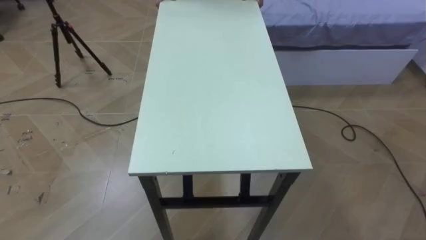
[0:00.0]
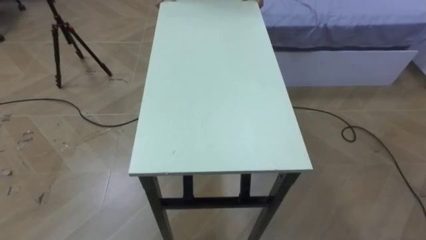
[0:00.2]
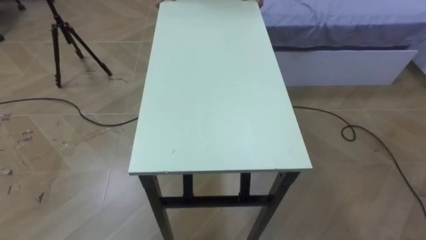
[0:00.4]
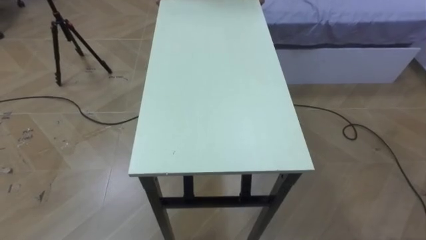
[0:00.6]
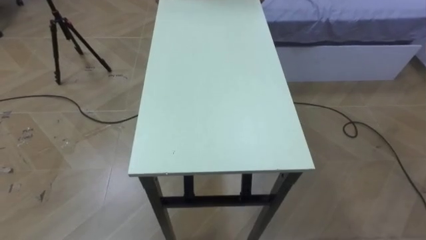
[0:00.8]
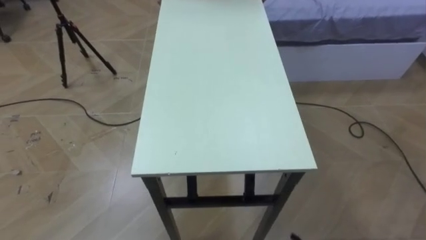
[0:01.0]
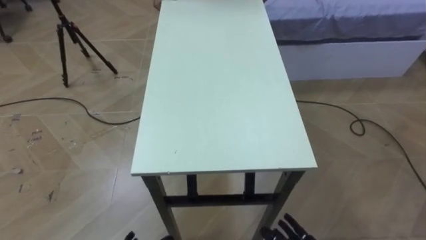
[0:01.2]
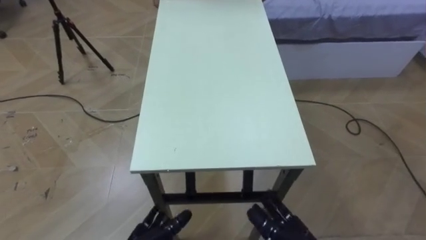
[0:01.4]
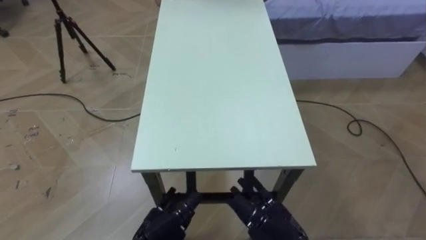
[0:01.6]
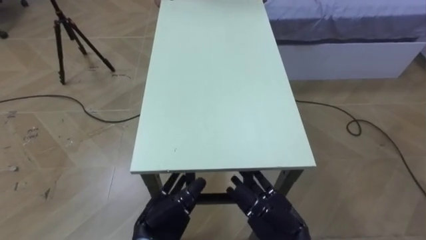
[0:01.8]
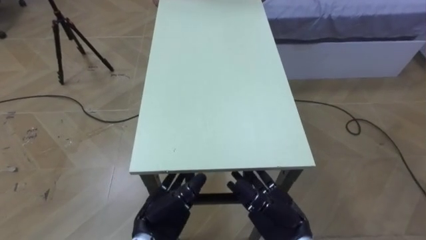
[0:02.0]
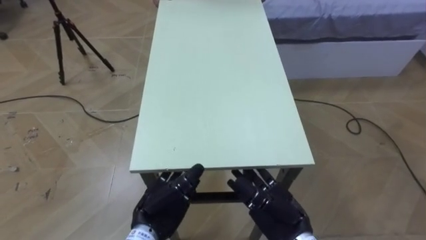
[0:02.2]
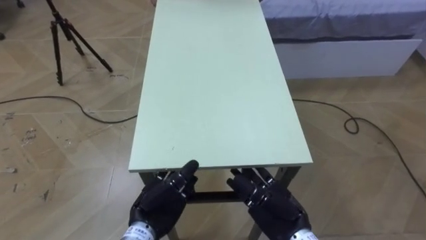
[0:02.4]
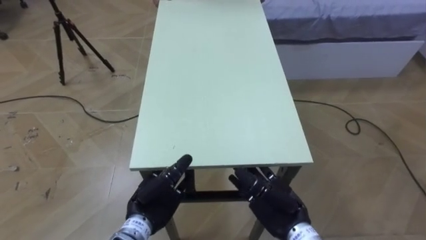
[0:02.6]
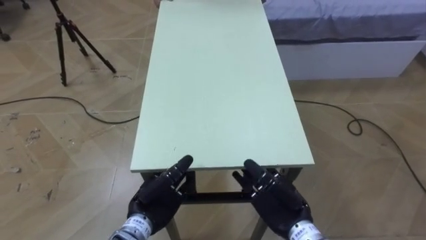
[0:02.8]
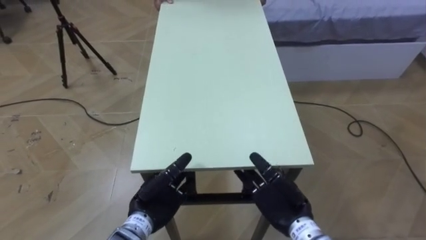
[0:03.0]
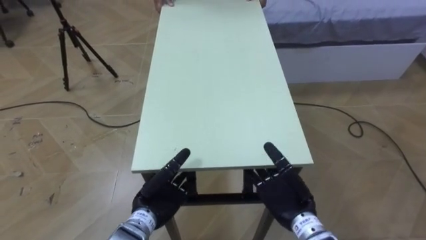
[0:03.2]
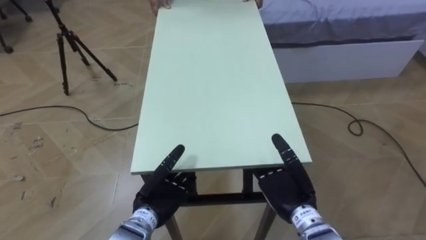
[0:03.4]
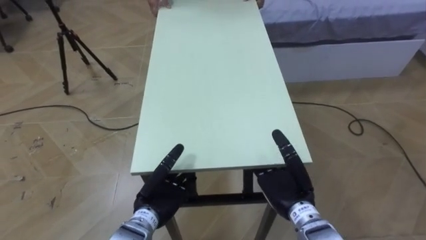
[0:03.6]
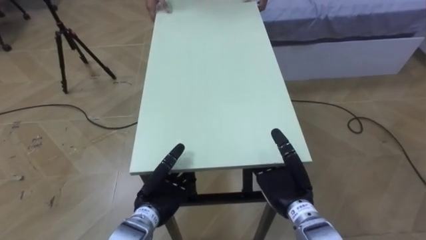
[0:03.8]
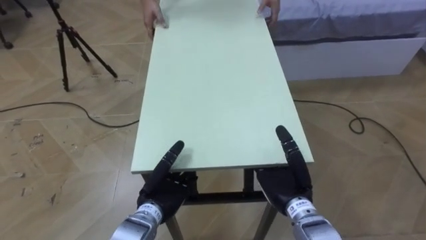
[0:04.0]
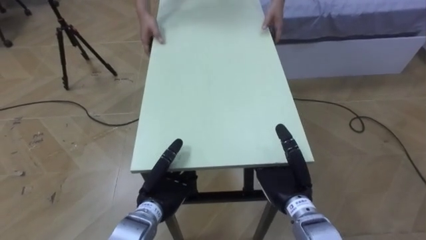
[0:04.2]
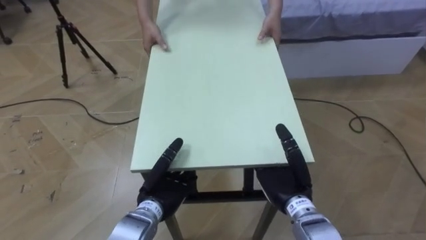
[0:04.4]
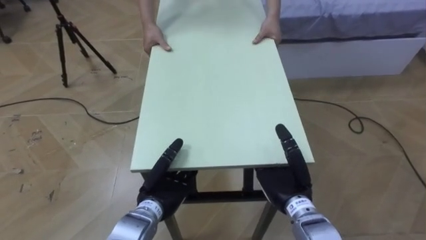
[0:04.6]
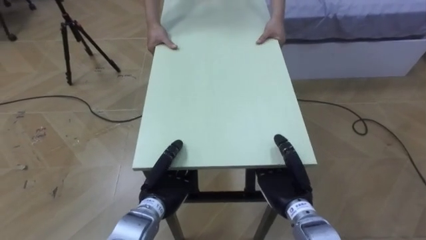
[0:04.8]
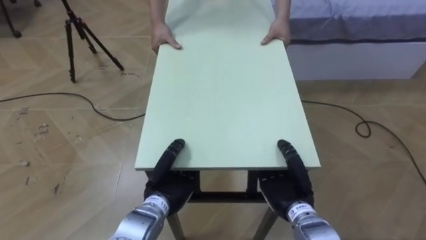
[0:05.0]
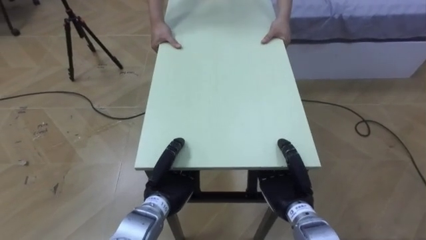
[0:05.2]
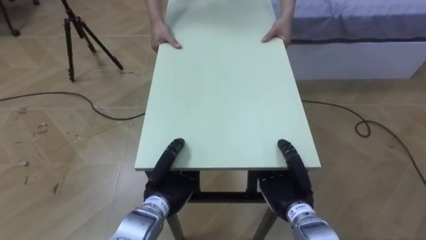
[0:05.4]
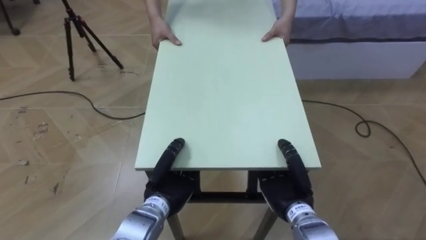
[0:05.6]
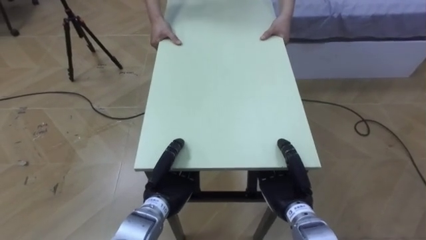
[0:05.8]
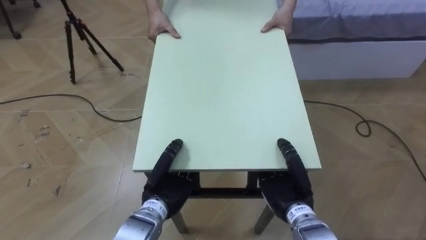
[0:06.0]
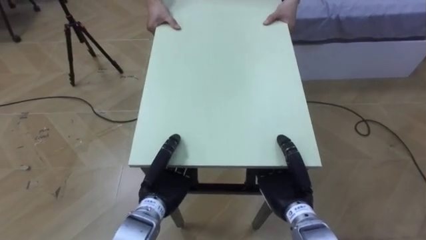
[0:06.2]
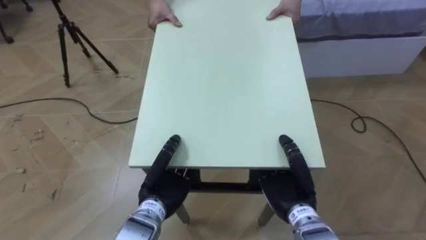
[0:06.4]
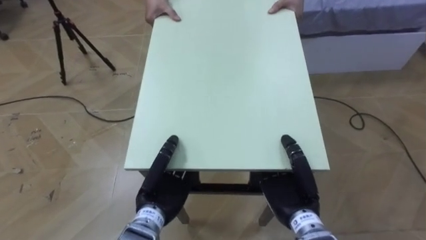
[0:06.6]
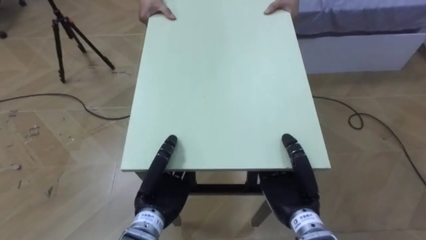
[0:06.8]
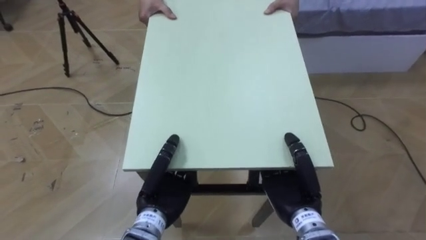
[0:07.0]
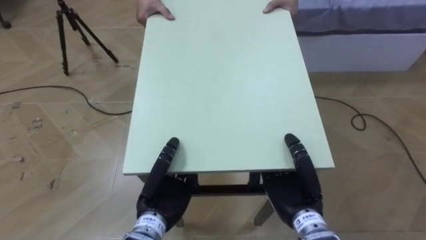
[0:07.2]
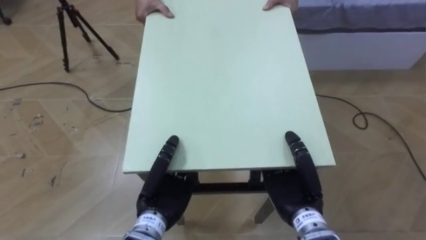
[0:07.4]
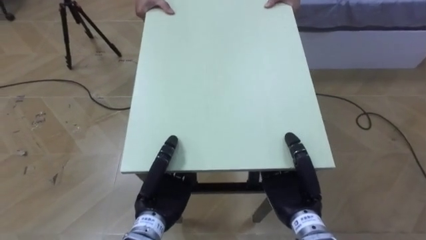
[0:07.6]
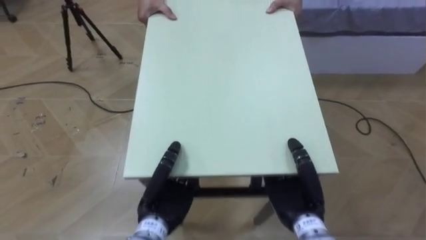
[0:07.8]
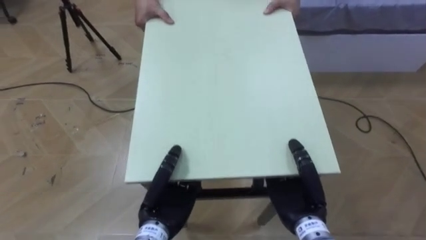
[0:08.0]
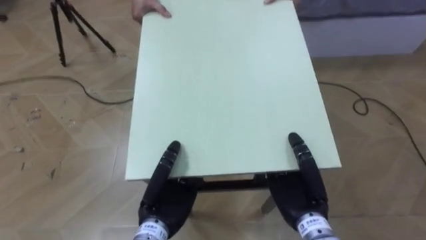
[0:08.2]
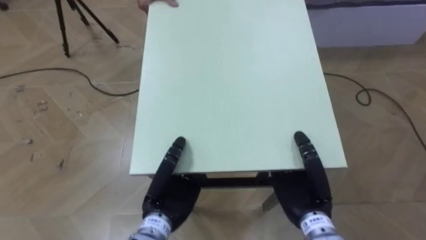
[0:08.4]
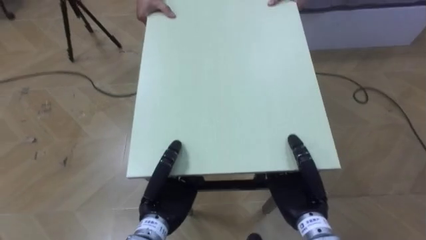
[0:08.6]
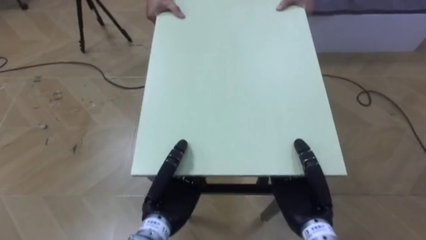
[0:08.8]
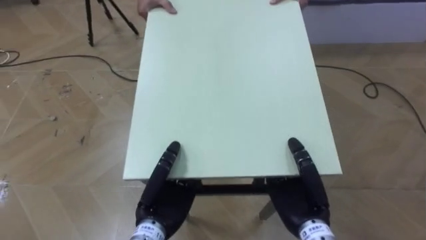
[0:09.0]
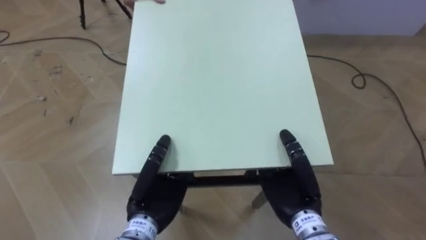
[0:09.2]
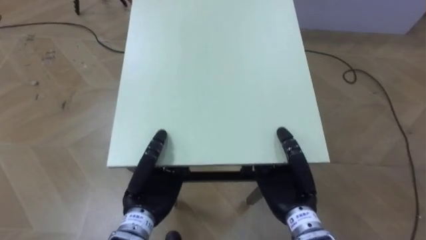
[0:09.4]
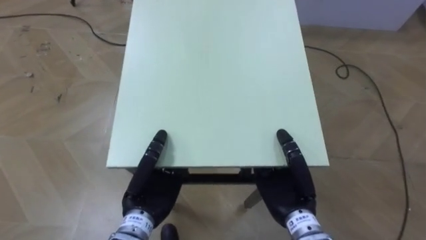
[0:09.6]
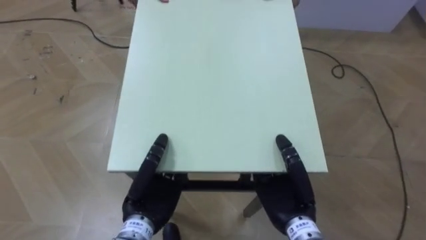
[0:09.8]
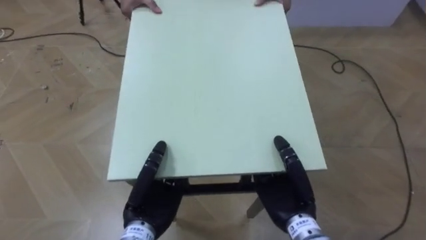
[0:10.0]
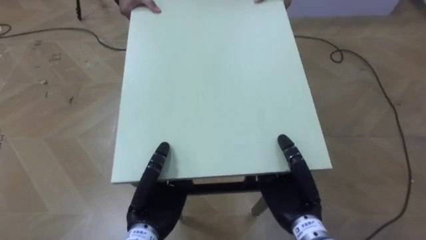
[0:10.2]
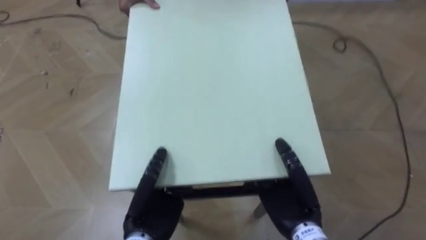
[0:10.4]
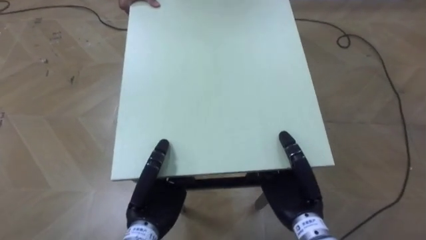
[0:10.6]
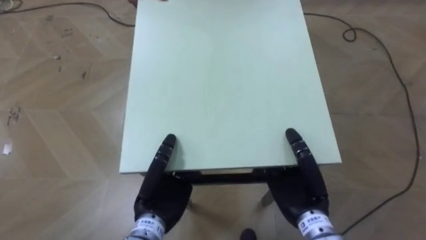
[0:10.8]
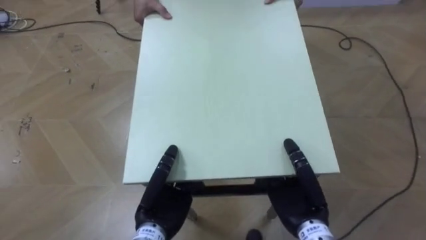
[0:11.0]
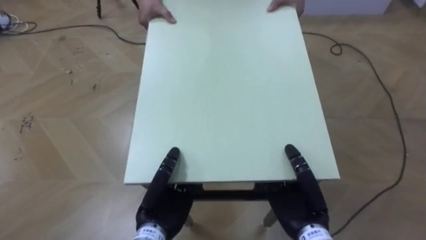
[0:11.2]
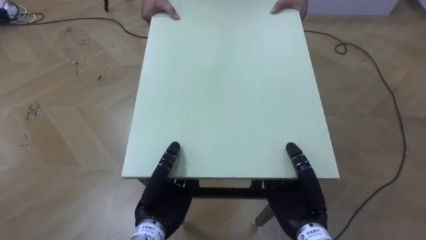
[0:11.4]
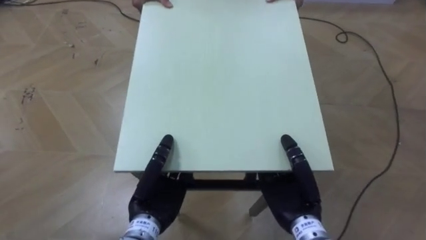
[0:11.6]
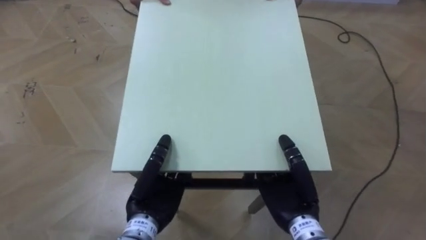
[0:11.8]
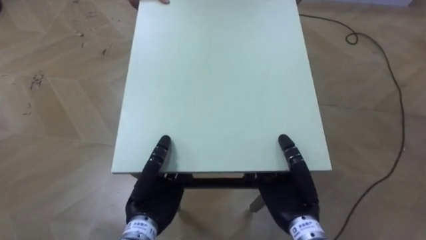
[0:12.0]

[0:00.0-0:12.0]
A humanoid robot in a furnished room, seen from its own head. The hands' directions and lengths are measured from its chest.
Task of the whole recording: Move the table to the back left with someone.
0:01.6 to 0:03.0: The hands both shift forward by roughly 5 cm.
0:04.4 to 0:06.0: The left hand closes. The right hand closes its fingers.
0:06.0 to 0:07.6: The right hand shifts by some 5 cm; the left hand shifts by approximately 5 cm.

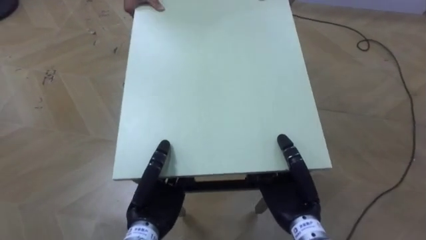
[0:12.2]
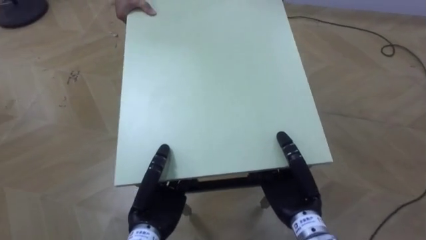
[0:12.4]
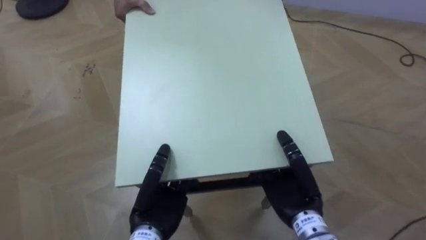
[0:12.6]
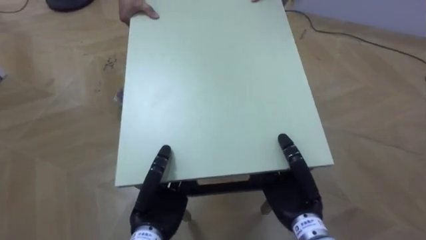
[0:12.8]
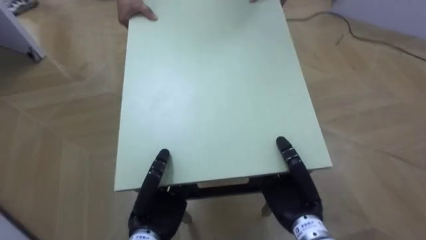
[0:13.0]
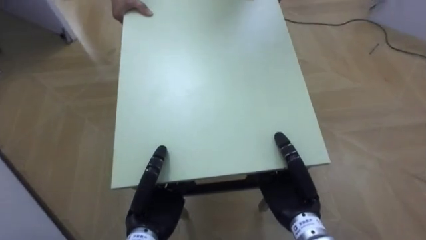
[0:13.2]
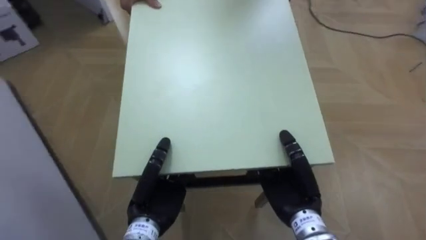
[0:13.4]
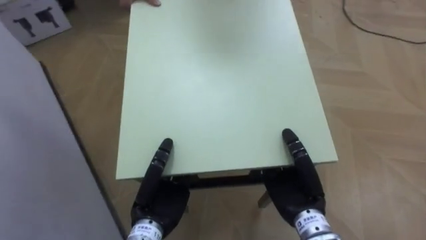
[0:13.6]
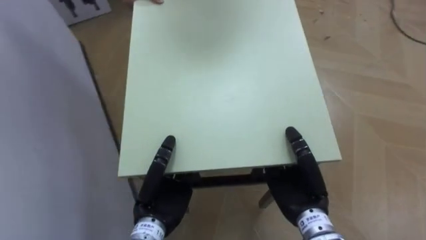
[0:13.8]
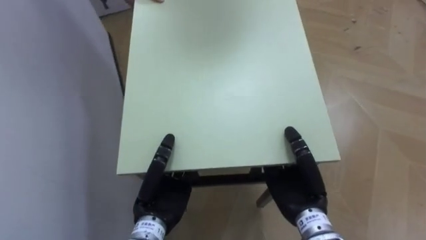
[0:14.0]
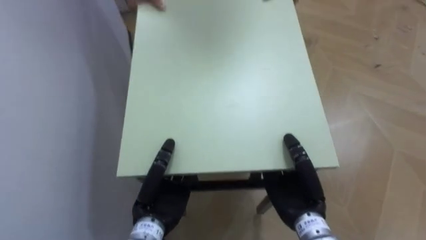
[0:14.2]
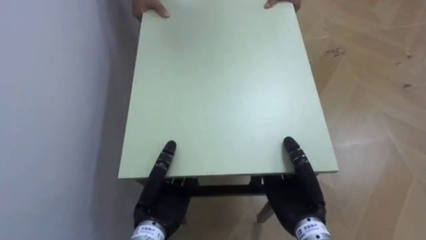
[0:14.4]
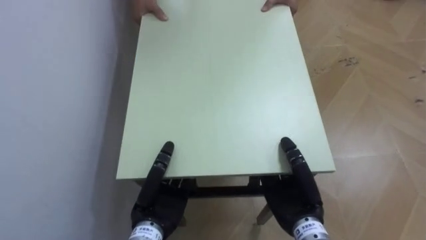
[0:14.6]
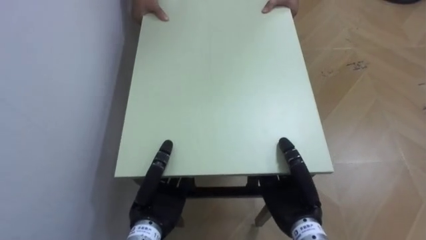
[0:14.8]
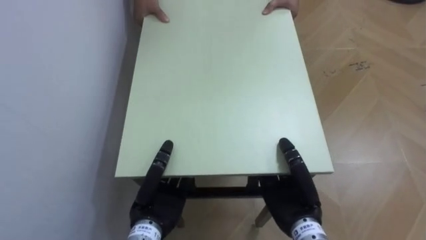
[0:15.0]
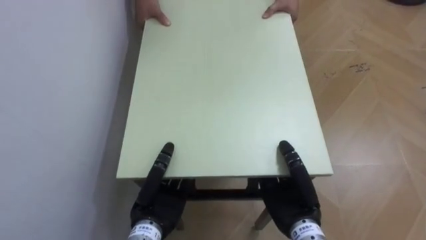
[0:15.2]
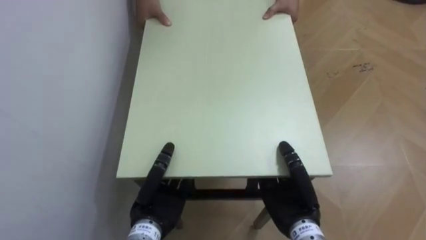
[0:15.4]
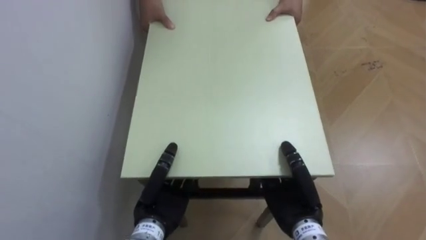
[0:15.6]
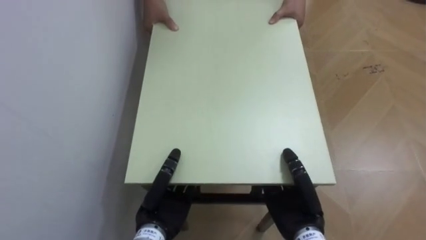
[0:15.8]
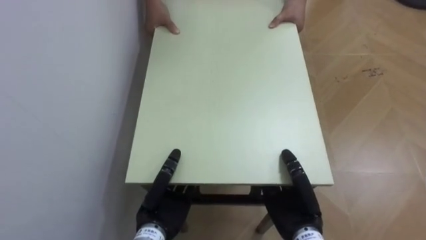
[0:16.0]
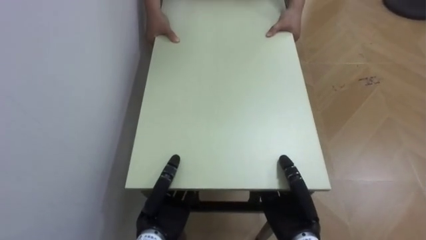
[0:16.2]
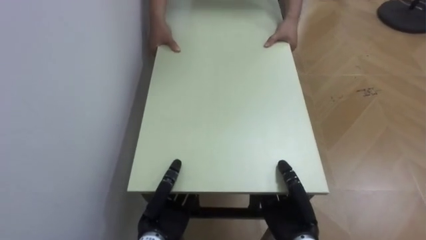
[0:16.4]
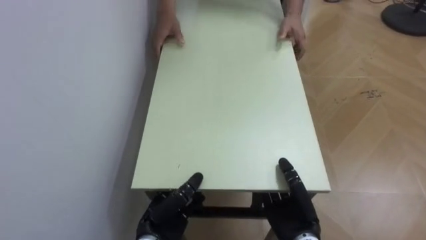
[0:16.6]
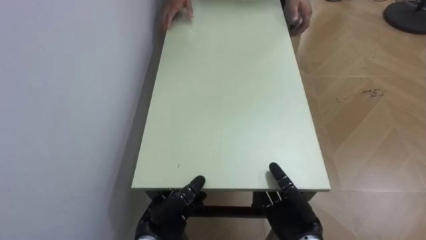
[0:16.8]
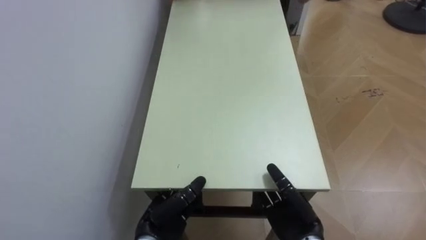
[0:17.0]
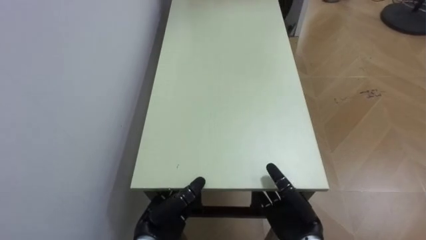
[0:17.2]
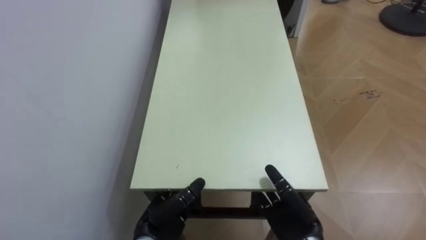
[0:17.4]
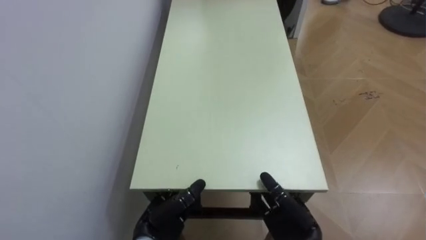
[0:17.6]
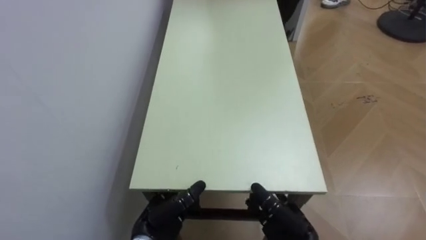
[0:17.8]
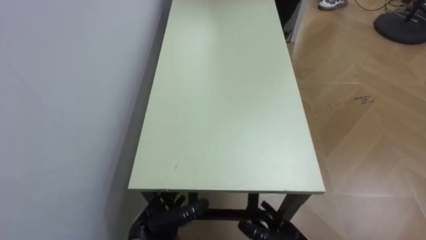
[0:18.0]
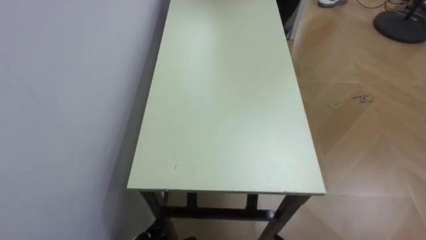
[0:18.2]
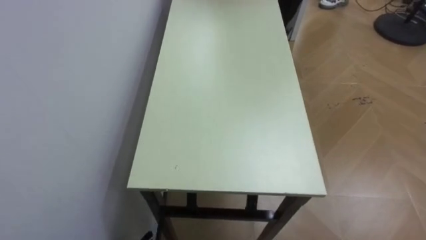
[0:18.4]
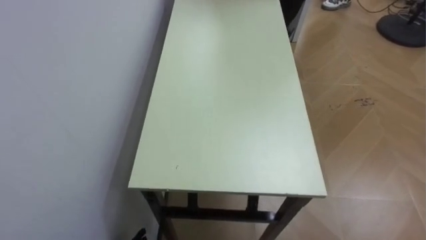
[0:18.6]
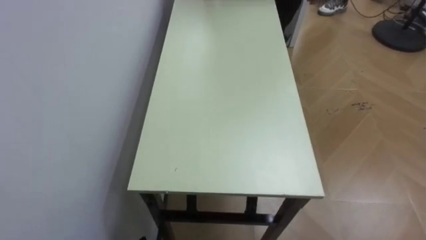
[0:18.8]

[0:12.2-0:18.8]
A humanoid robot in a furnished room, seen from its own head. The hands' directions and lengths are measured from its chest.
Task of the whole recording: Move the table to the back left with someone.
0:12.2 to 0:13.8: The robot faces some 60 degrees further to its left.
0:13.8 to 0:15.4: The robot turns to its left by roughly 30 degrees.
0:15.4 to 0:17.2: The right hand ends up approximately 5 cm from where it was, and opens up. The left hand shifts some 5 cm downward, and opens.
